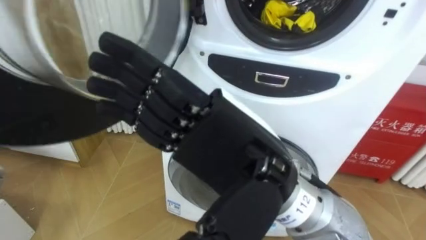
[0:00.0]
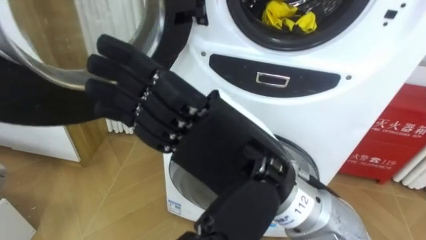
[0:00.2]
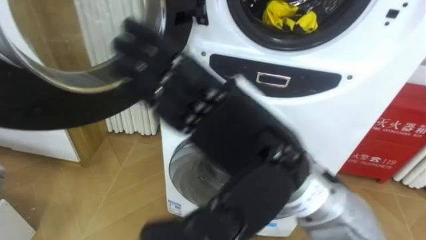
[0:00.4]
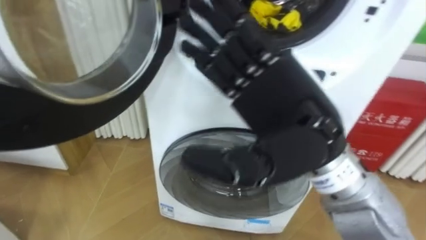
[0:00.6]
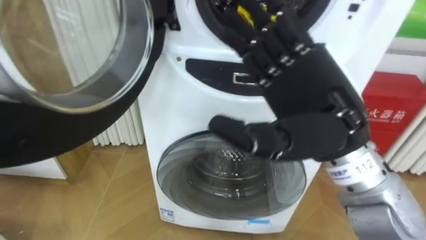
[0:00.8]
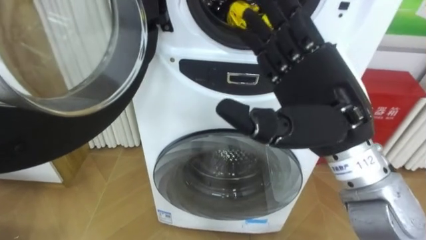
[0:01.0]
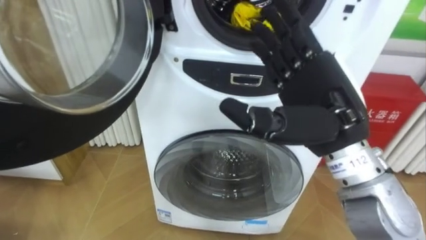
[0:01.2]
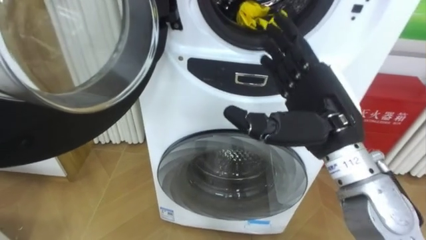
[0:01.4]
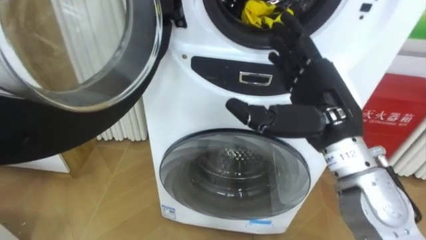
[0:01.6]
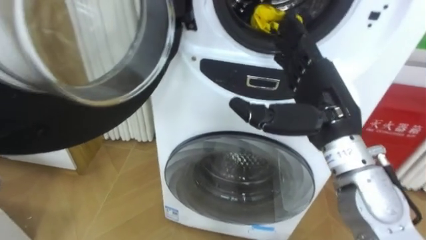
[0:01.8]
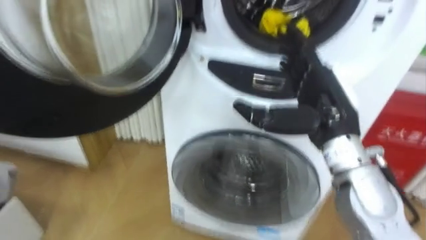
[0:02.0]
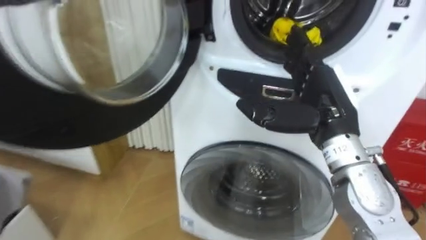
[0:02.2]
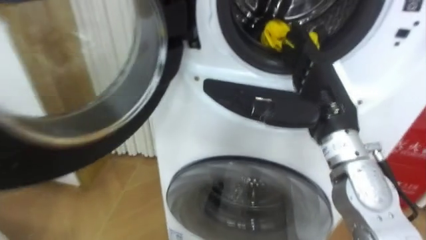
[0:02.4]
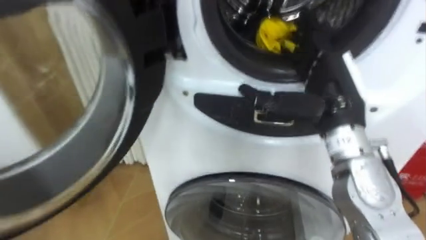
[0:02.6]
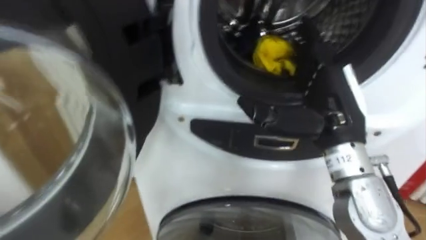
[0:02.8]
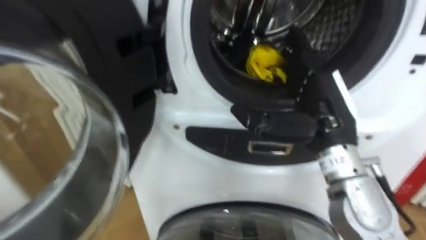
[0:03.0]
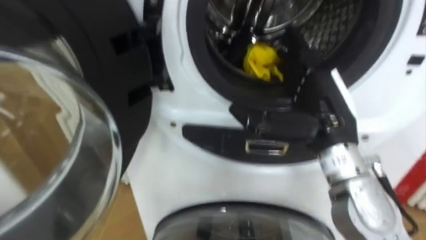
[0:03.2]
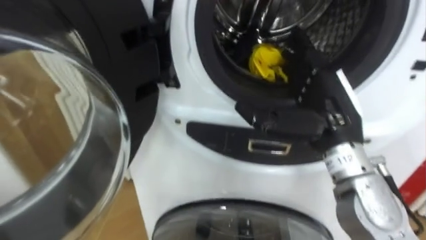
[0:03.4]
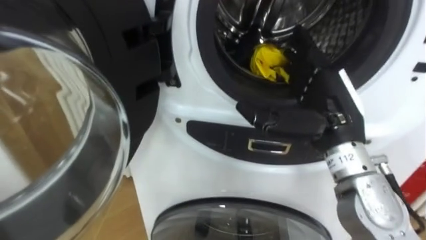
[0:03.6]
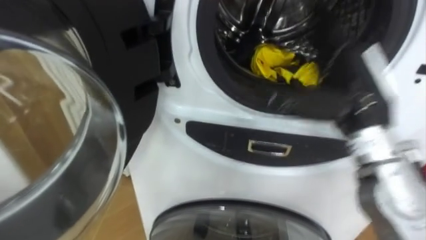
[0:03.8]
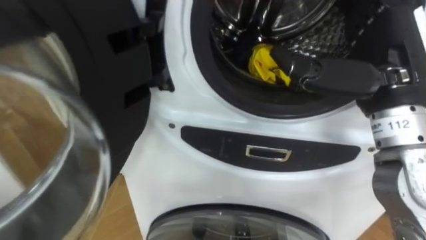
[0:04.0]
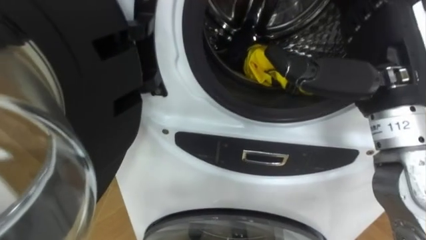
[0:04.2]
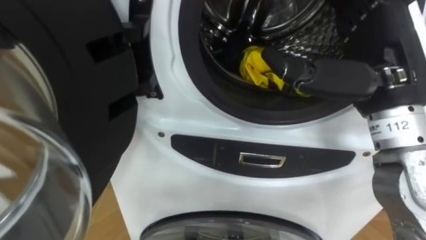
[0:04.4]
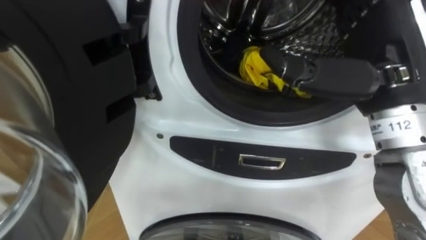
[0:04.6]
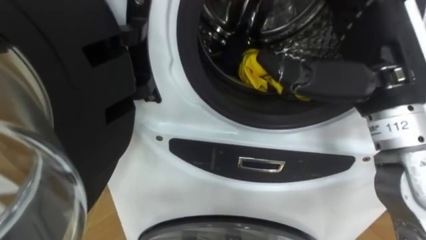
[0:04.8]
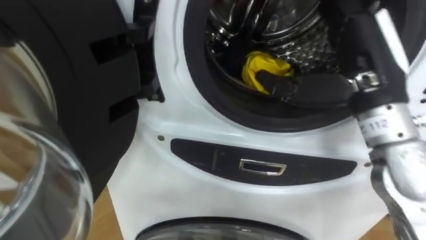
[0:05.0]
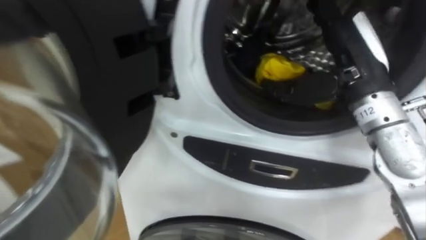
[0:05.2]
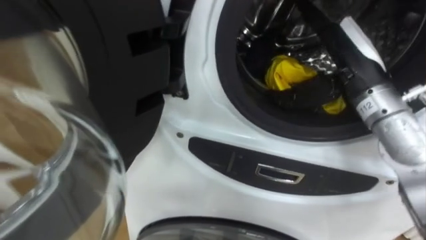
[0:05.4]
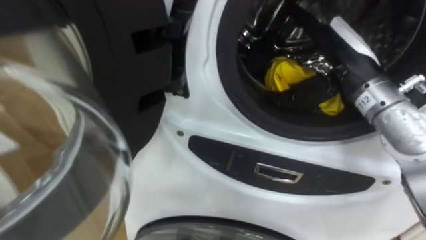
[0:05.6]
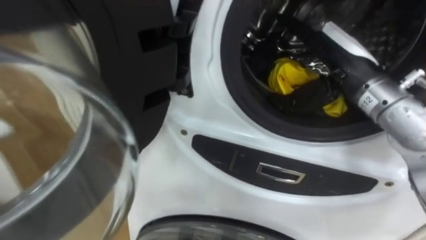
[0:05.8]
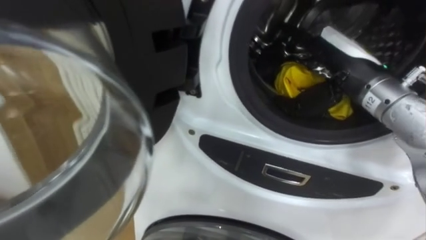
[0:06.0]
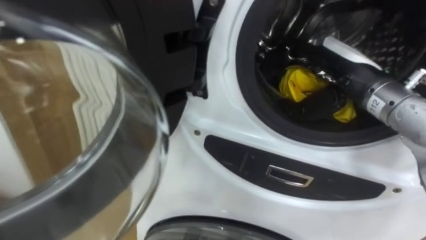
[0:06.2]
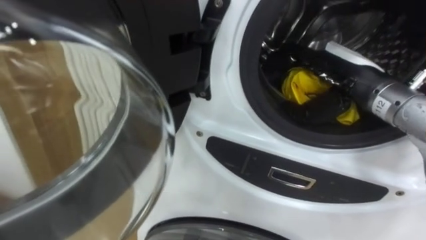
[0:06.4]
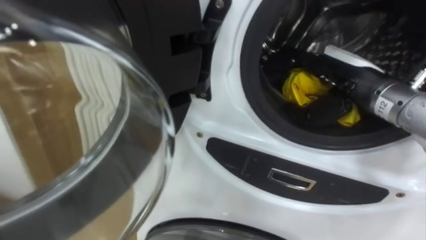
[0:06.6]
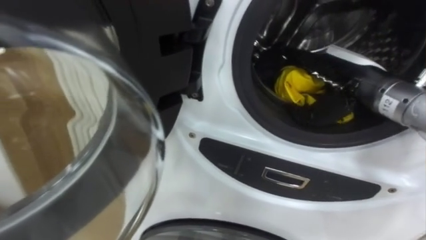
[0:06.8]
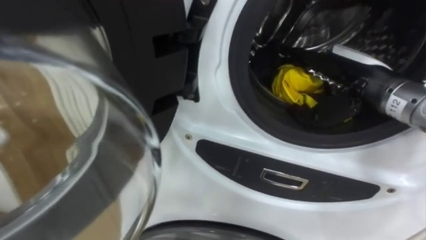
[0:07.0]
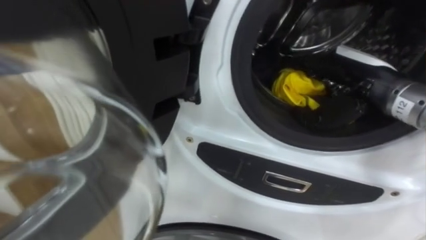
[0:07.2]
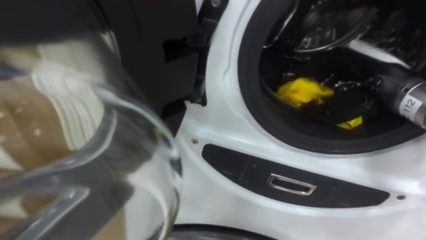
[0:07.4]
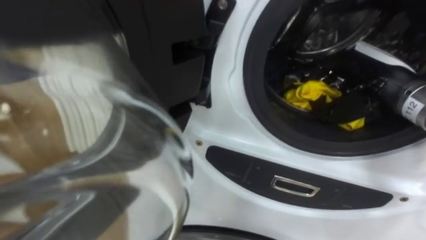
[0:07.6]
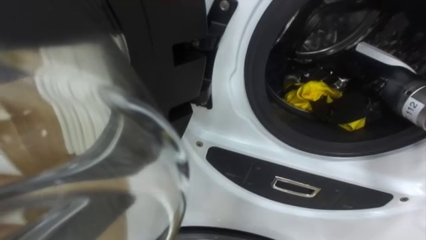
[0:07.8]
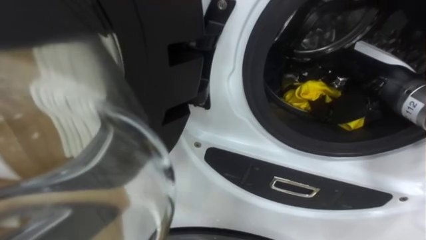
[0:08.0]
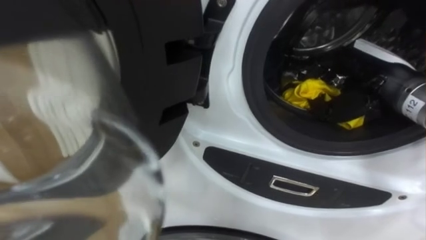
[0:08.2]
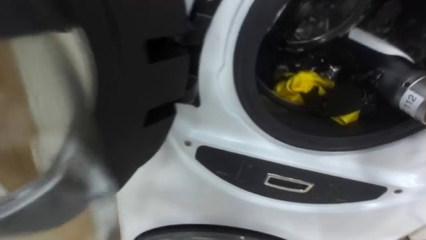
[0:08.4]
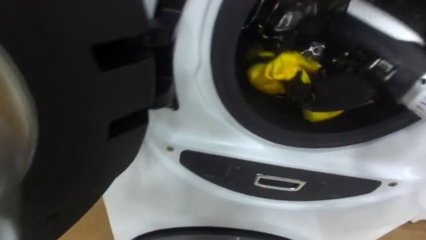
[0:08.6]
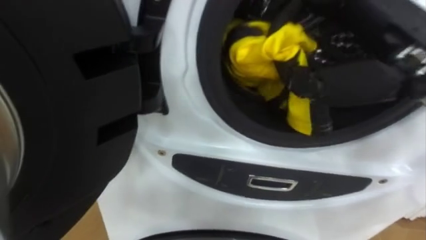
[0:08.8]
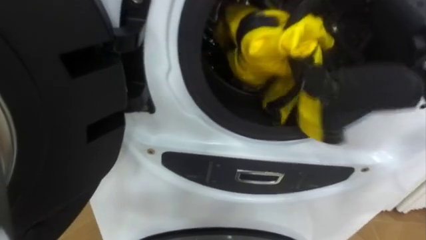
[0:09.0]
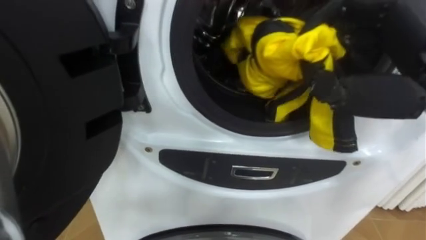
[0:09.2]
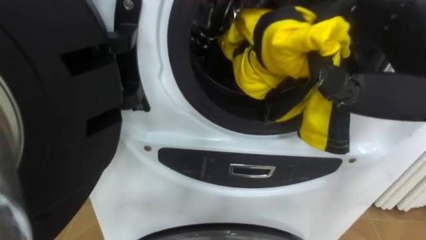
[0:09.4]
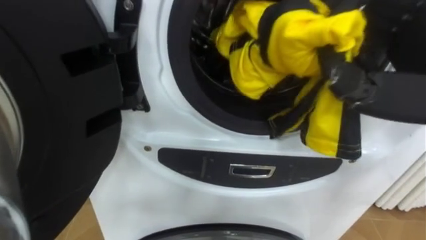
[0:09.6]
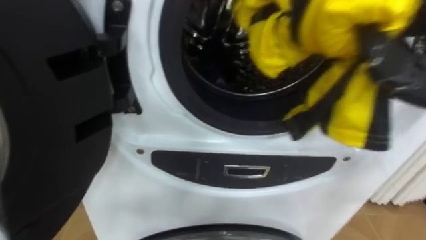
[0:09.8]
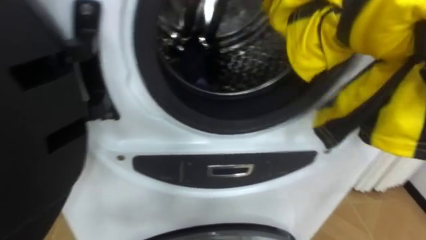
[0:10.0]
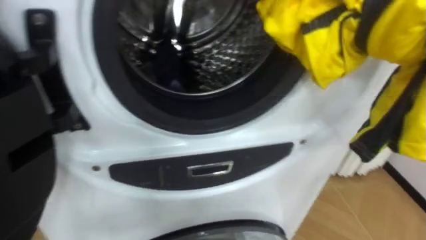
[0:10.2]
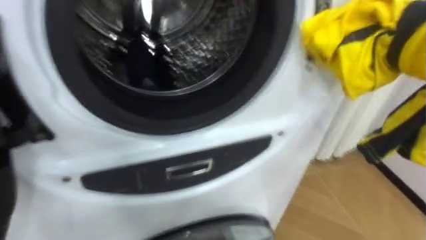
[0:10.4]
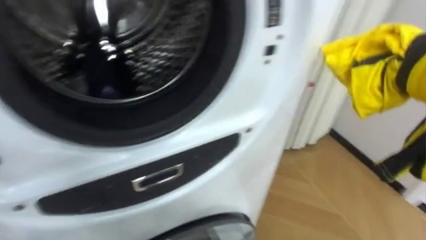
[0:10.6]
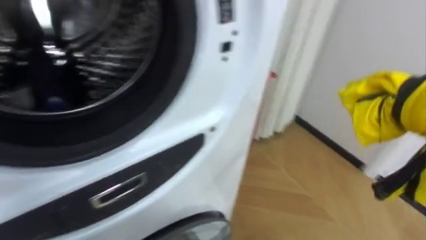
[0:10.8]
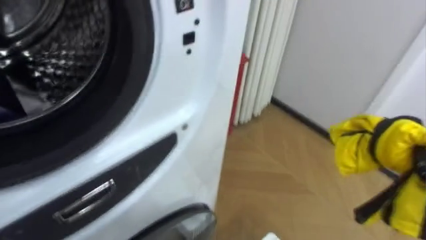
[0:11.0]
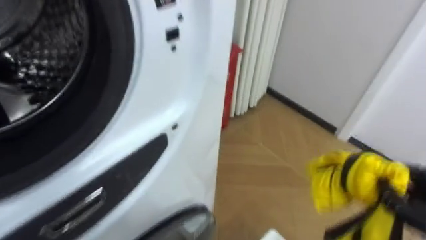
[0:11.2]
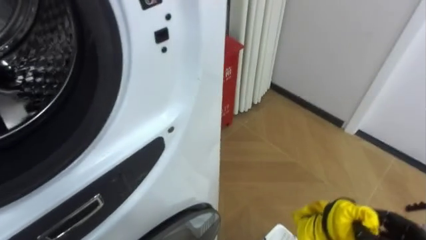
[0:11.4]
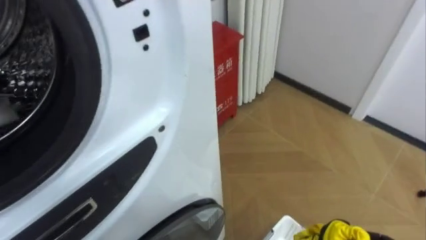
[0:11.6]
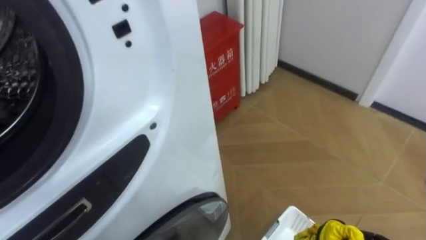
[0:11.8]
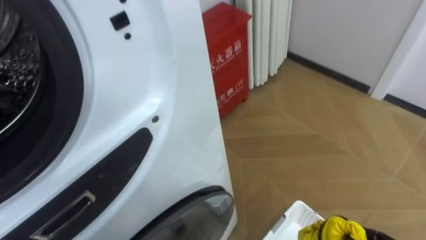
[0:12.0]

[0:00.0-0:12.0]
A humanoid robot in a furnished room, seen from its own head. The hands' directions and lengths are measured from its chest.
Task of the whole recording: Open the washing machine door, take out the yellow clothes, place them in the box on the right, and close the washing machine door.
0:00.0 to 0:01.6: The right hand moves to the right and forward, approximately 15 cm.
0:03.0 to 0:04.4: The right hand is displaced upward by about 10 cm.
0:04.4 to 0:06.0: The right hand is displaced forward and downward by some 10 cm.
0:06.0 to 0:07.6: The right hand shifts approximately 5 cm to the right, and closes up.
0:07.6 to 0:09.0: The right hand goes approximately 15 cm upward, backward and to the left.
0:10.4 to 0:12.0: The robot rotates approximately 20 degrees to its right.

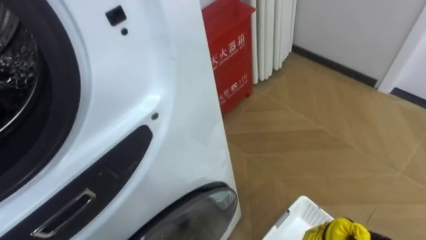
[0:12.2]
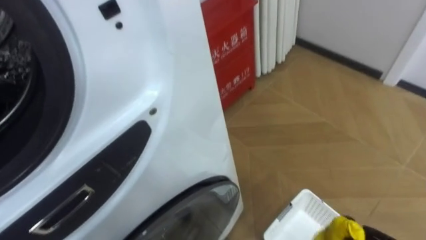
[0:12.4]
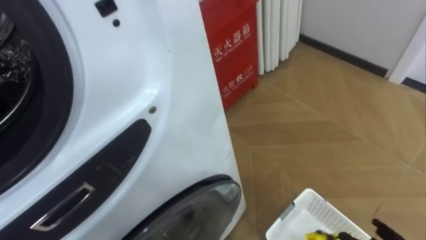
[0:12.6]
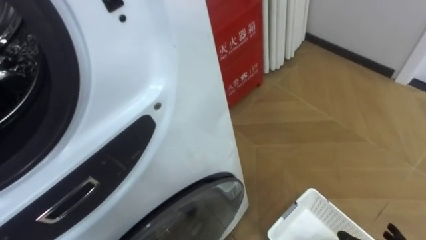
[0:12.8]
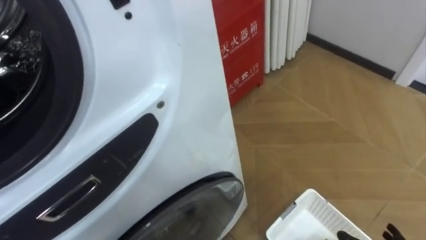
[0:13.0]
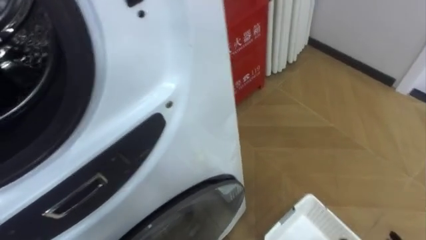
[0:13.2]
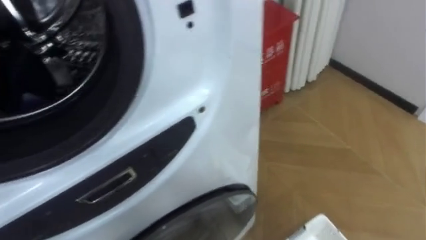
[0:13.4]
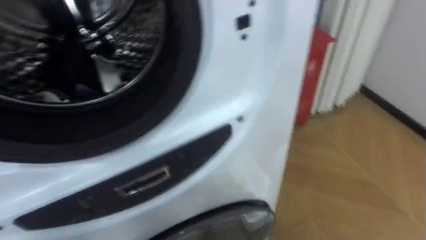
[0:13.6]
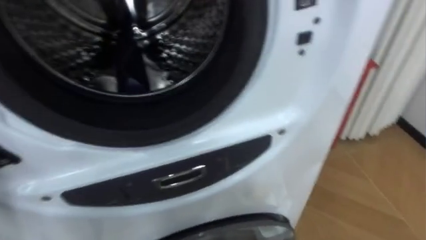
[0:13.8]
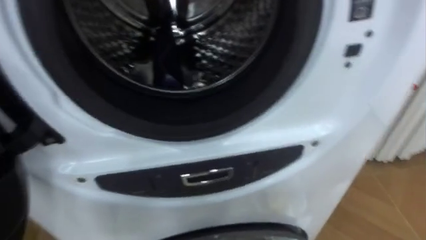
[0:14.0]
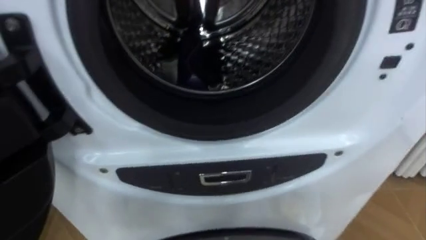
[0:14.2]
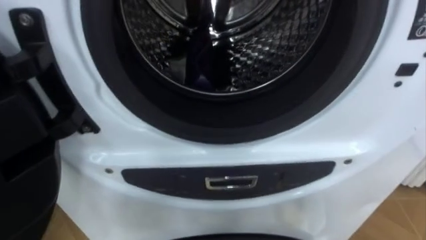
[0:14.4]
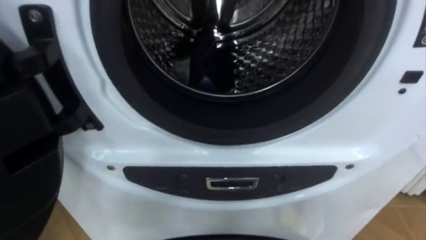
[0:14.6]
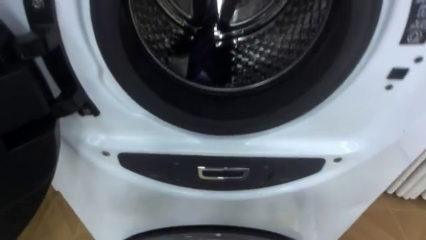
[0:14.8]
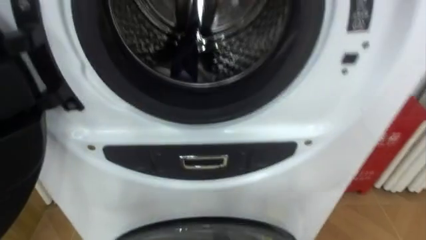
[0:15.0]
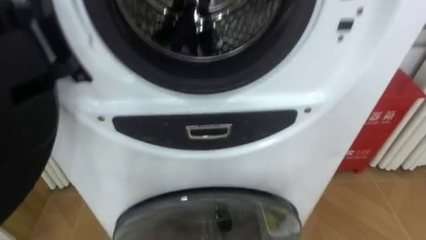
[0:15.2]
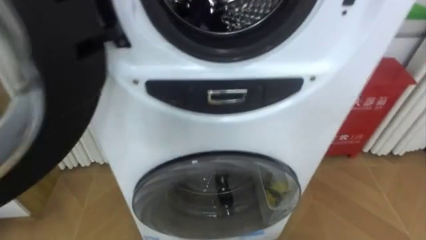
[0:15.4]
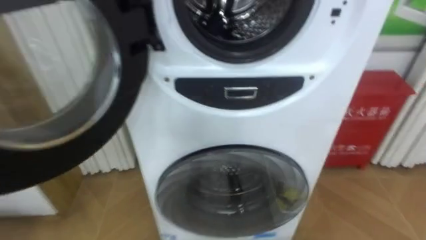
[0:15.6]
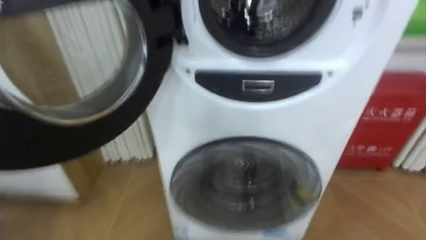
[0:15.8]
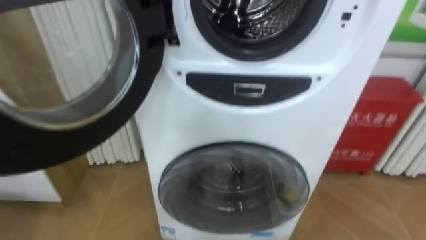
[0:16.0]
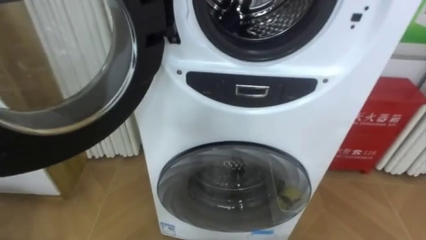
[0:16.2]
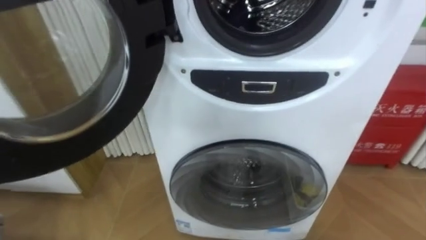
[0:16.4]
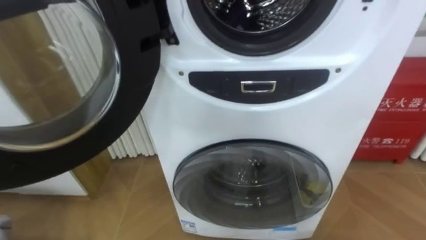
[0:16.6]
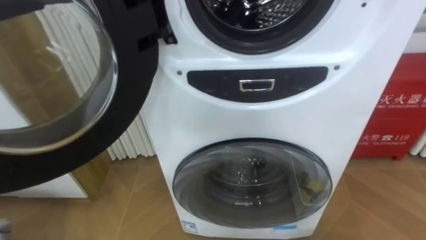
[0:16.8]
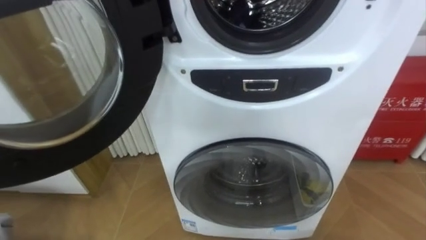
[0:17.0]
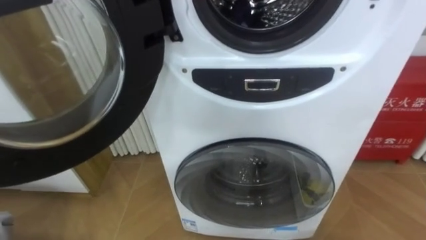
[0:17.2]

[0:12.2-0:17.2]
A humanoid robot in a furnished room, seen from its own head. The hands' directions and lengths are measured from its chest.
Task of the whole recording: Open the washing machine door, take out the yellow clothes, place them in the box on the right, and close the washing machine door.
0:12.2 to 0:13.8: The robot's body swings some 20 degrees to its left.
